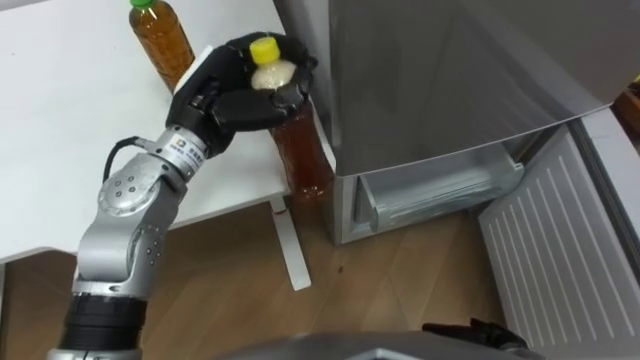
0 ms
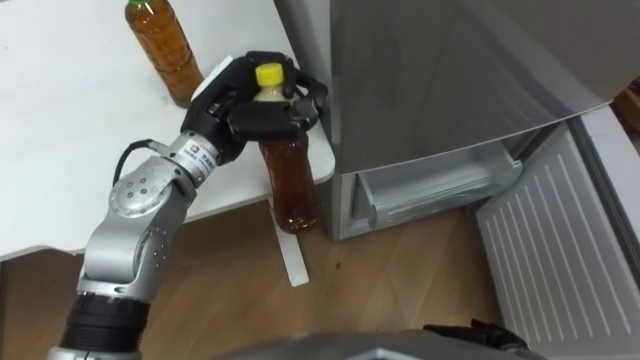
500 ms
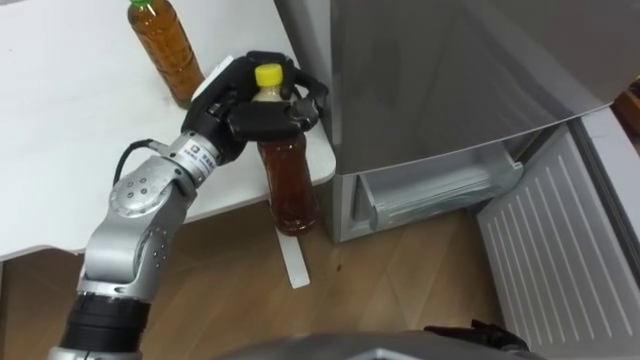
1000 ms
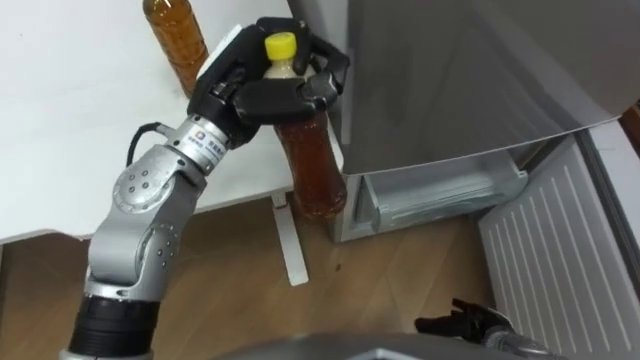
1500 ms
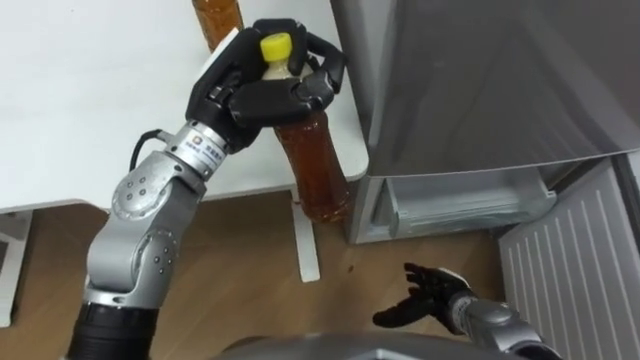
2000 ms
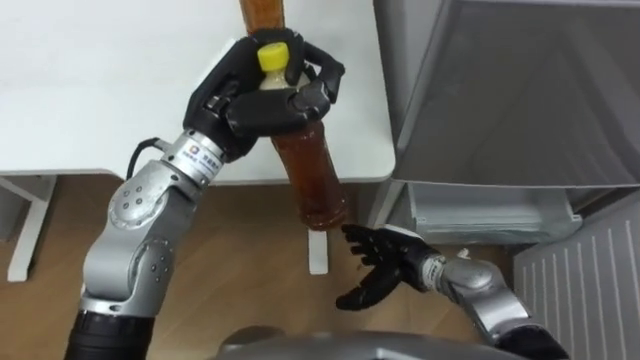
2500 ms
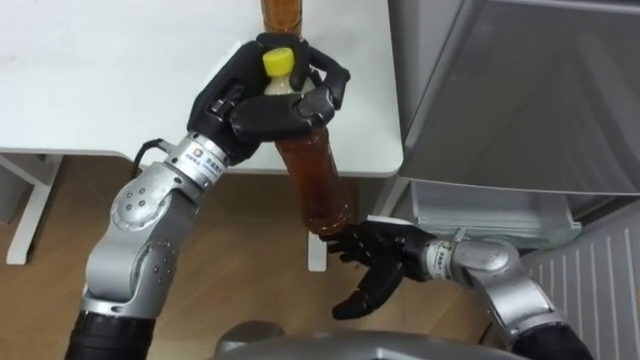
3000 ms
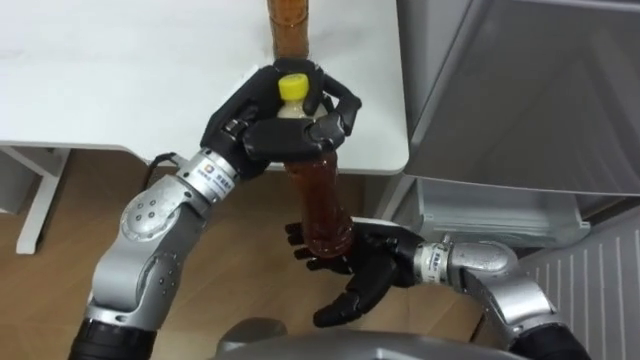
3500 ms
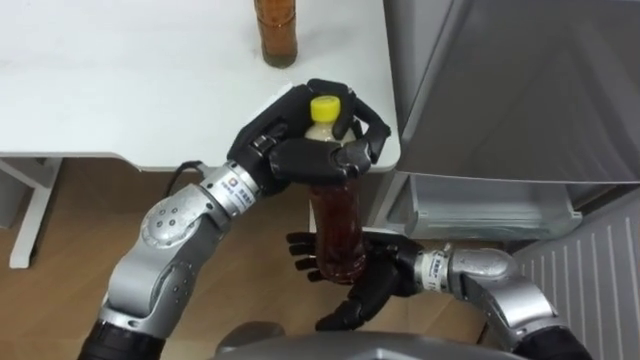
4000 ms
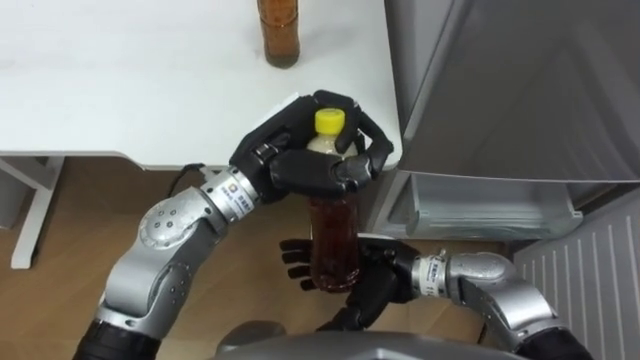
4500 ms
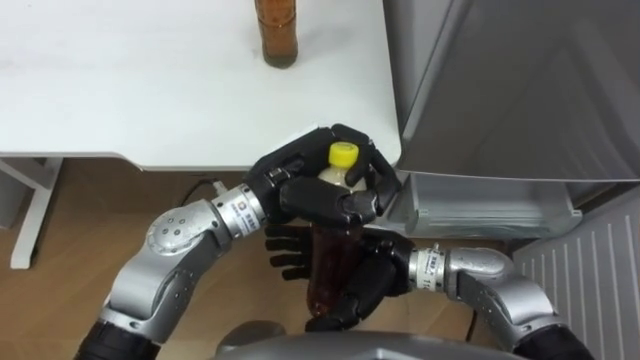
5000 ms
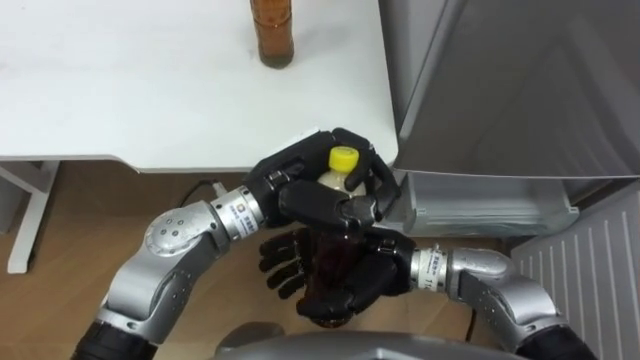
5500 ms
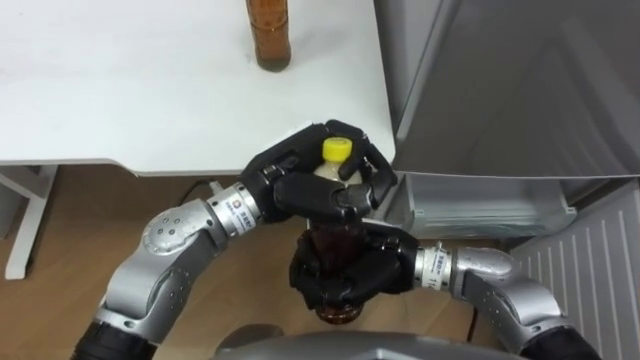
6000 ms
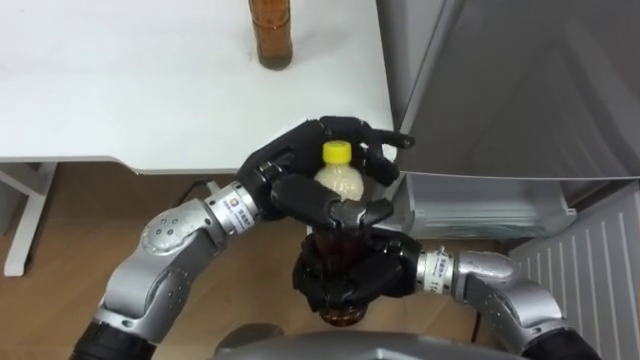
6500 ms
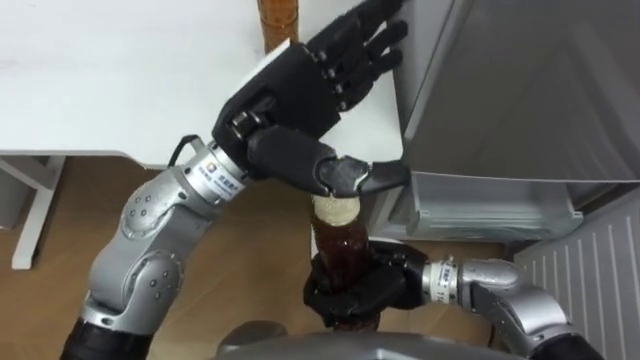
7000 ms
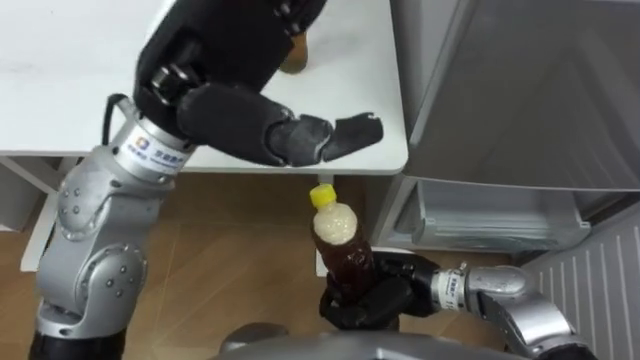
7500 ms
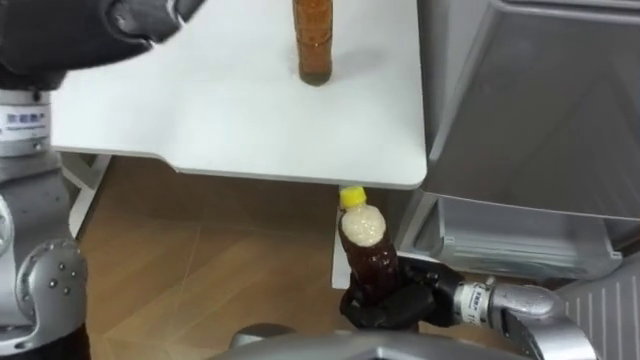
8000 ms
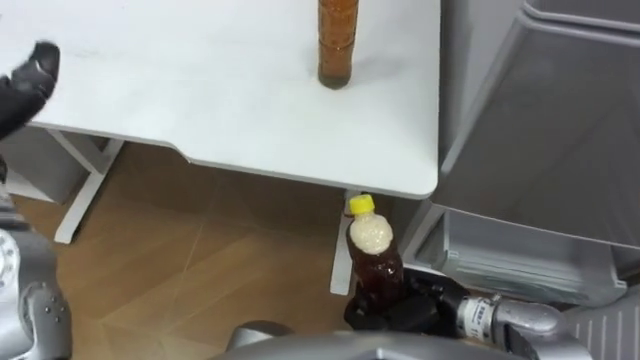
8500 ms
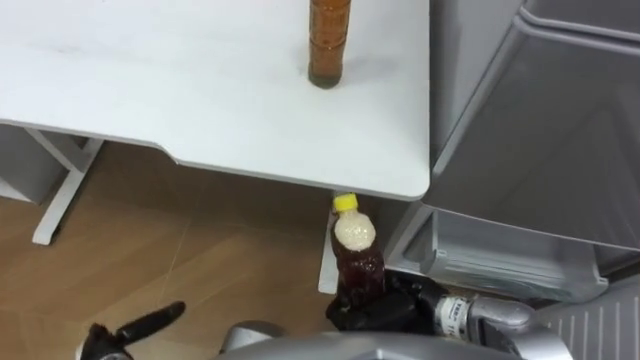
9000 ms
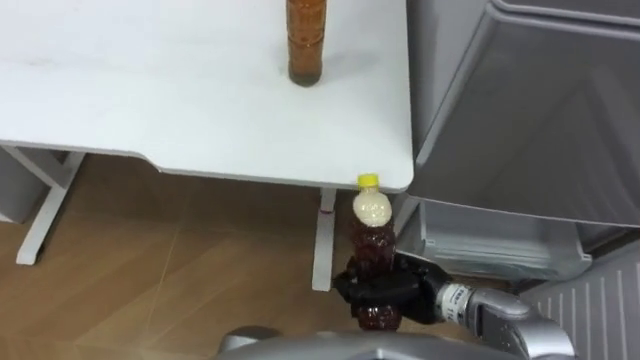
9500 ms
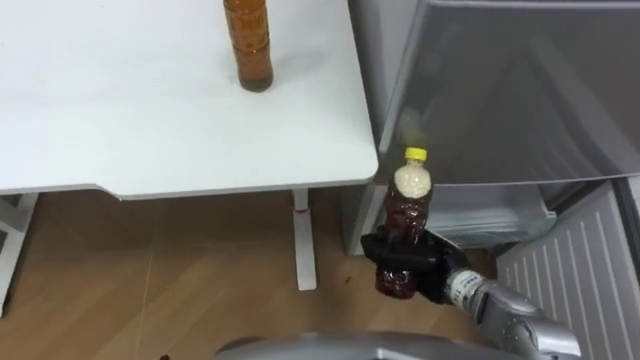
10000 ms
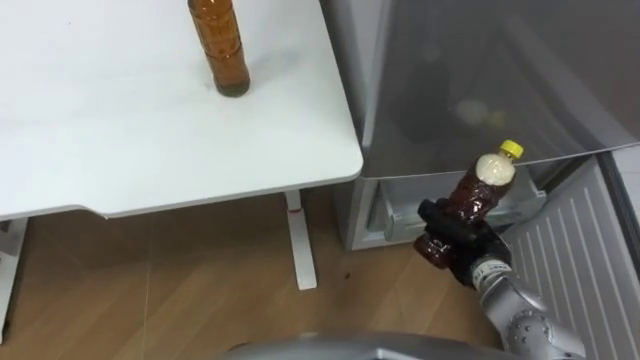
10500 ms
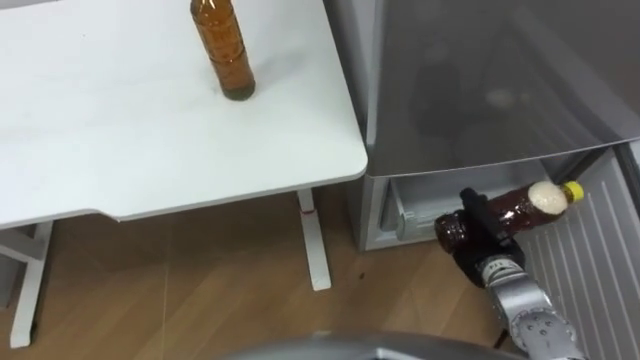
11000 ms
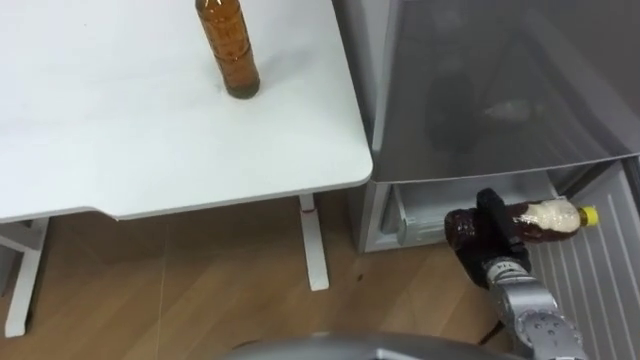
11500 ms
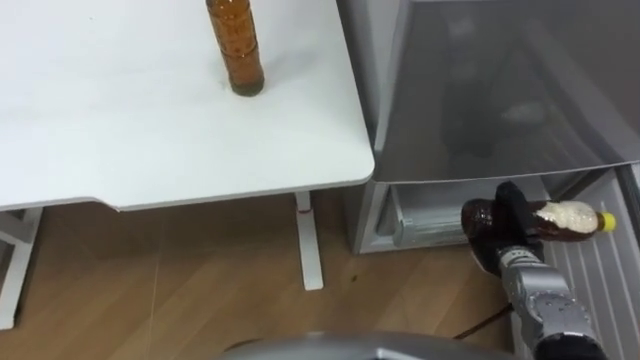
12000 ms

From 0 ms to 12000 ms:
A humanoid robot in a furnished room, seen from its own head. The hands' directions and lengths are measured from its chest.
Task of the whole recording: Place the drink on the table on the bottom shelf of the refrigerator, then close the drawer and the refrigerator door.
From 0 ms to 2000 ms: The right hand travels forward and to the left by approximately 10 cm, while the left hand shifts by about 5 cm, and closes.
From 2000 ms to 4000 ms: The left hand moves some 5 cm, while the right hand travels upward and to the left by roughly 15 cm.
From 4000 ms to 6000 ms: The right hand closes.
From 6000 ms to 8000 ms: The right hand heads to the right and downward, covering approximately 10 cm; the left hand moves upward and to the left, roughly 25 cm, and opens its fingers.
From 8000 ms to 10000 ms: The right hand changes place by roughly 5 cm.
From 10000 ms to 12000 ms: The right hand travels to the right by approximately 10 cm.

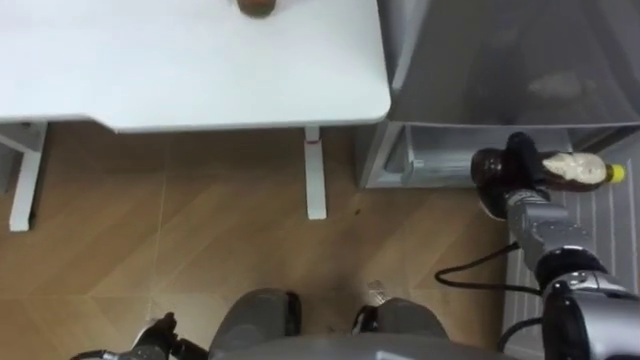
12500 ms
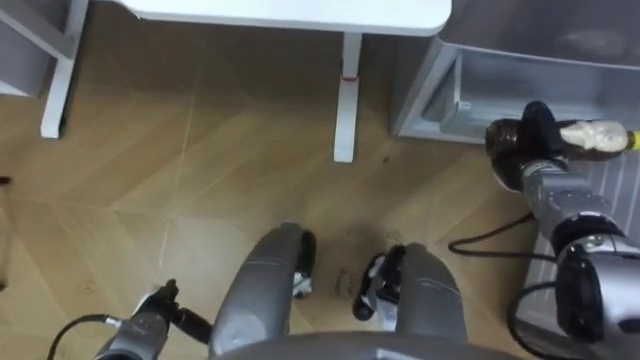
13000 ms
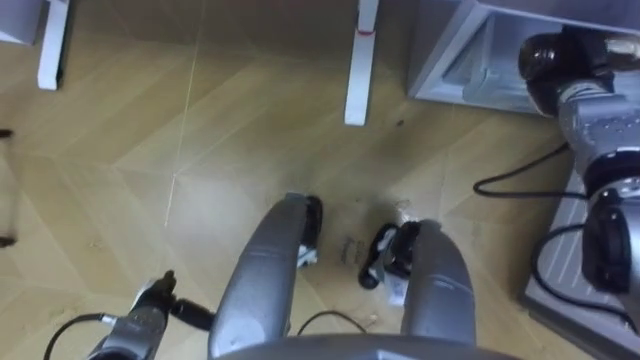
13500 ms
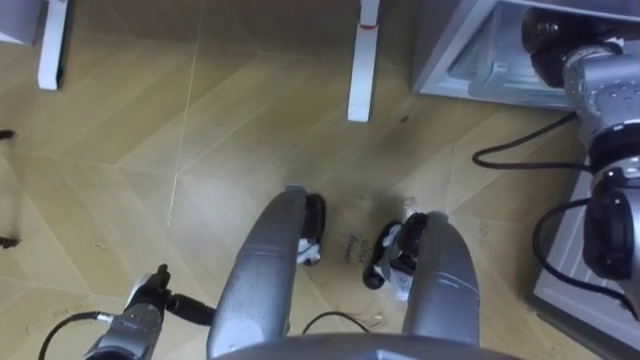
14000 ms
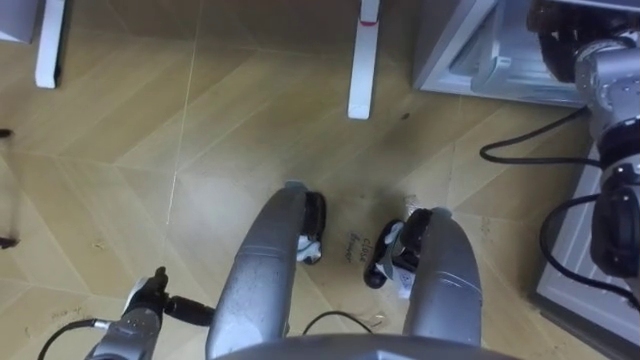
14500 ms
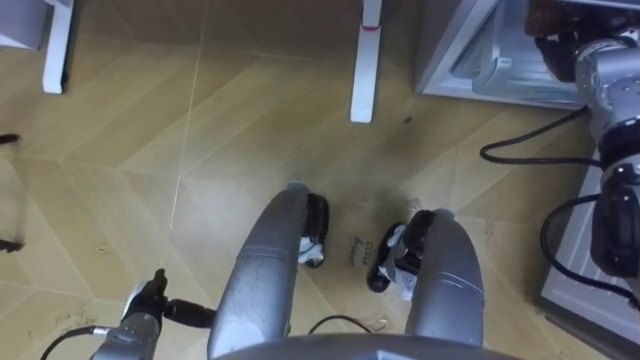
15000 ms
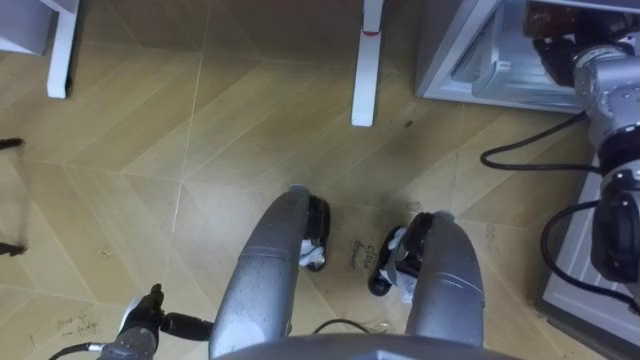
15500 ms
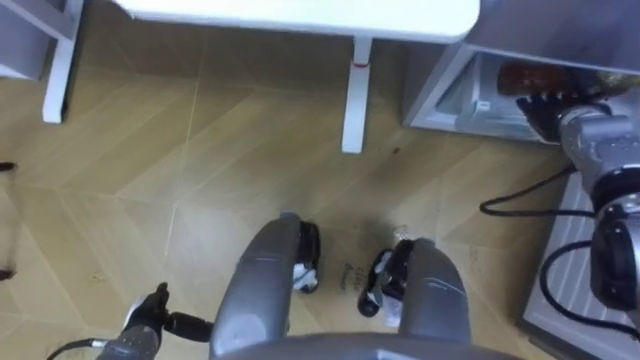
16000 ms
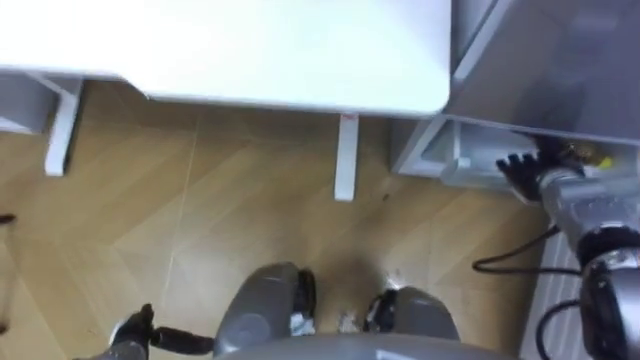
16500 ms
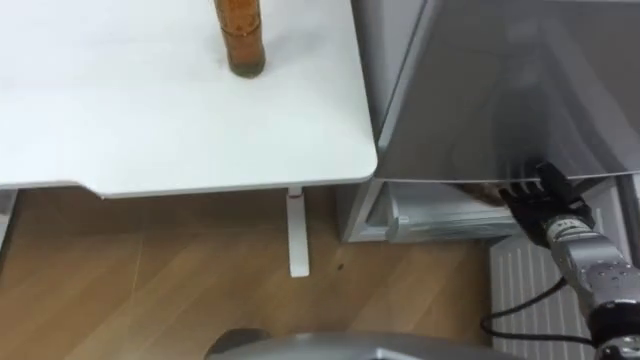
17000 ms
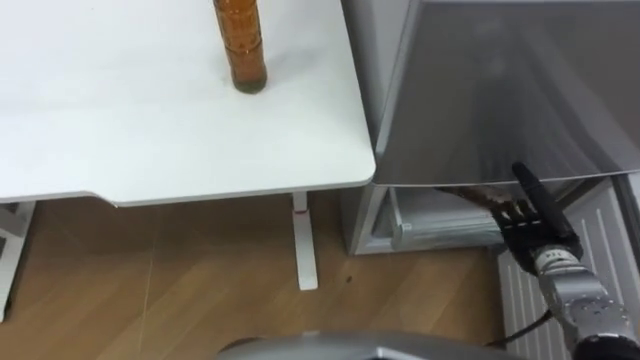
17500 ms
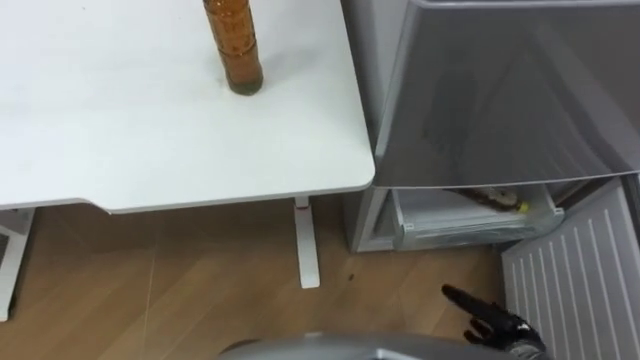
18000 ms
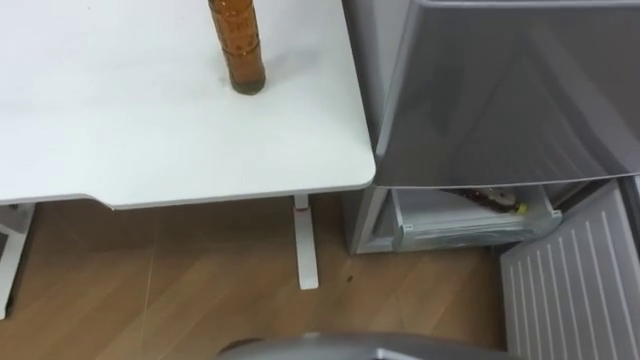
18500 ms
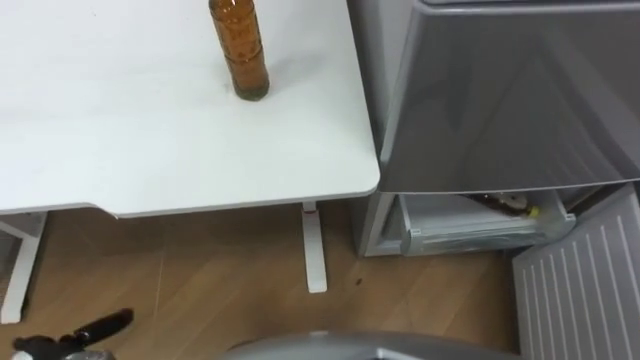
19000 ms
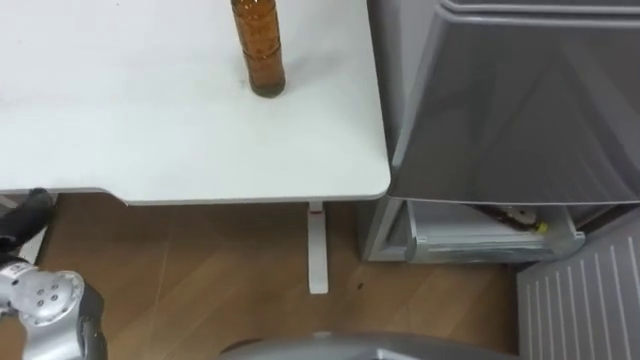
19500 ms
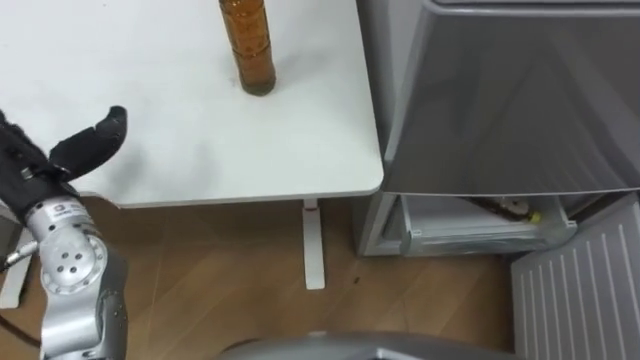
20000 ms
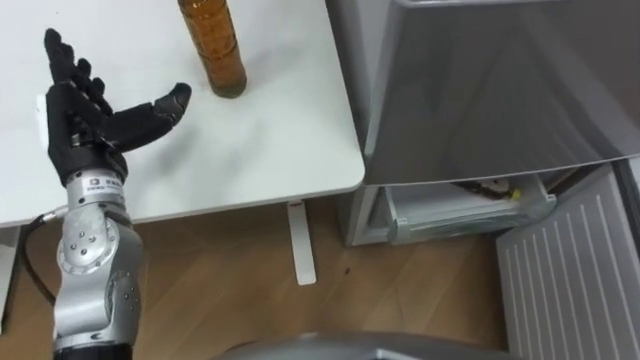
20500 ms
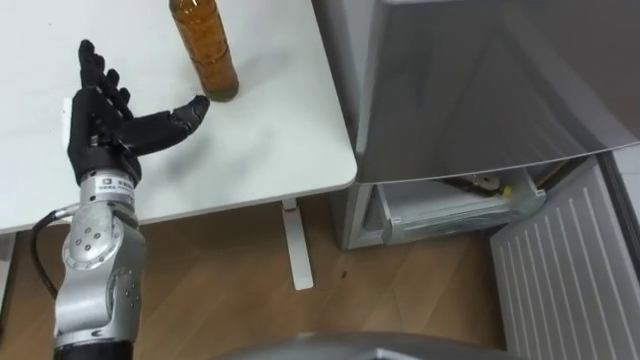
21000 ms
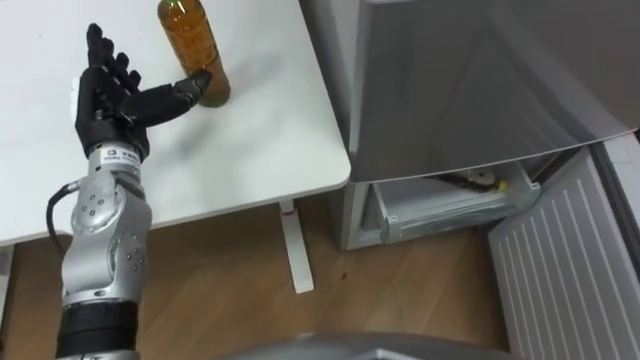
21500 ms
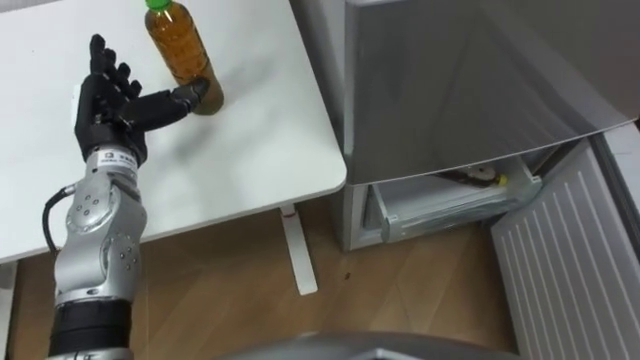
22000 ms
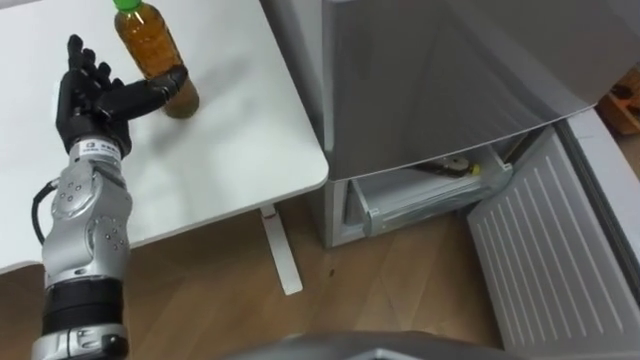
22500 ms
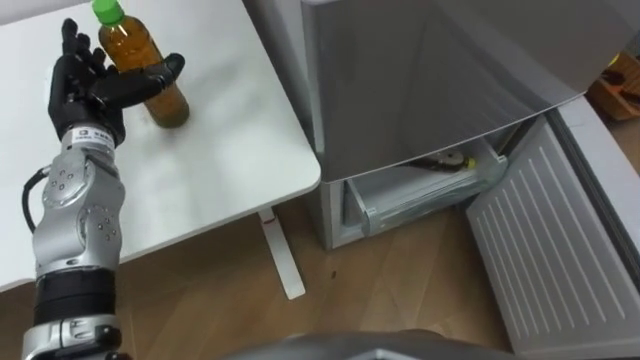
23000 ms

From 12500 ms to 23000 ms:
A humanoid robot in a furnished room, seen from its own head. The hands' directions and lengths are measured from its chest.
Task of the whole recording: Place the drink on the table on the bottom shelf of the refrigerator, then close the drawer and the refrigerator door.
From 12500 ms to 14500 ms: The right hand travels upward and forward by approximately 20 cm, and opens; the left hand shifts about 5 cm forward.
From 14500 ms to 16500 ms: The right hand is displaced downward and backward by roughly 20 cm.
From 21000 ms to 23000 ms: The left hand shifts approximately 5 cm forward.
